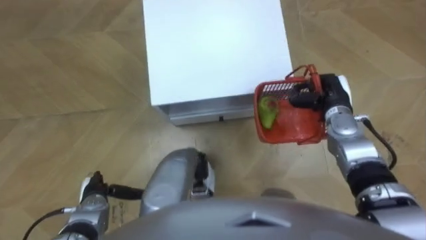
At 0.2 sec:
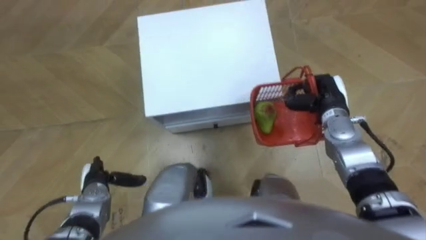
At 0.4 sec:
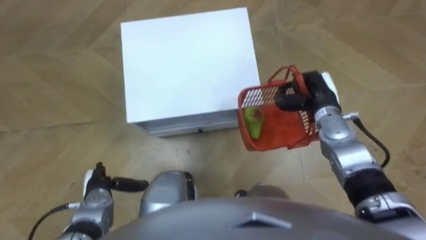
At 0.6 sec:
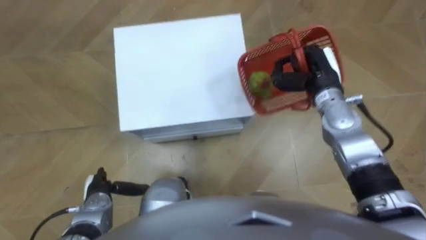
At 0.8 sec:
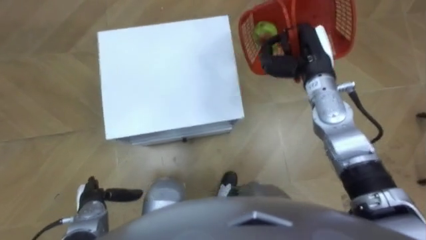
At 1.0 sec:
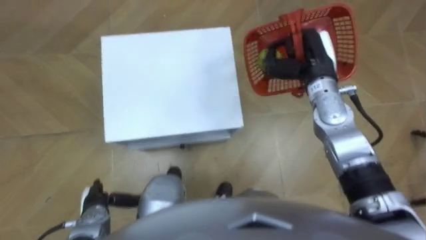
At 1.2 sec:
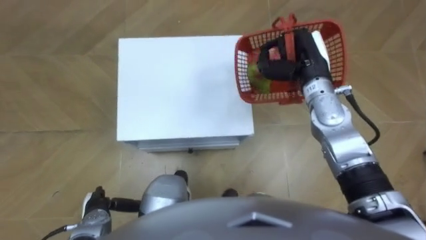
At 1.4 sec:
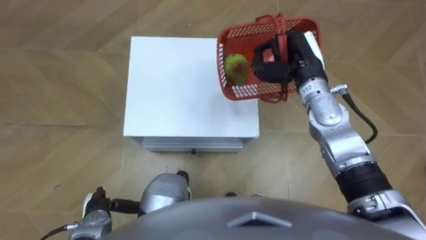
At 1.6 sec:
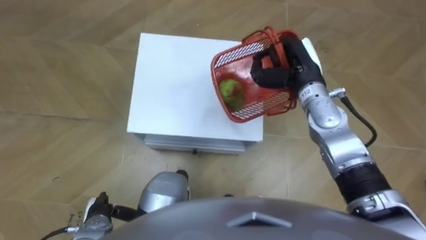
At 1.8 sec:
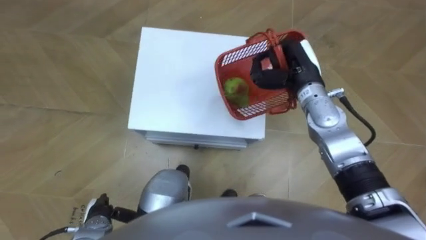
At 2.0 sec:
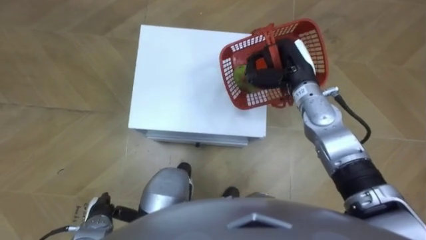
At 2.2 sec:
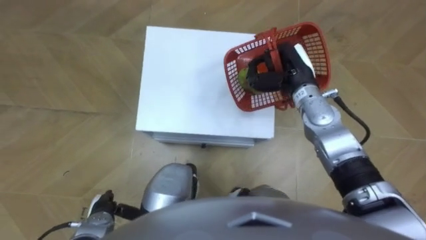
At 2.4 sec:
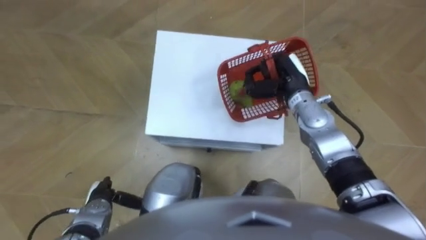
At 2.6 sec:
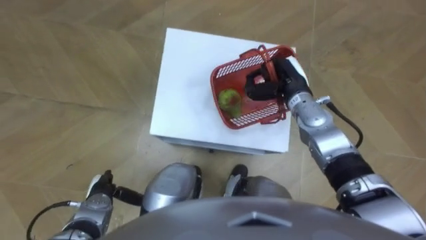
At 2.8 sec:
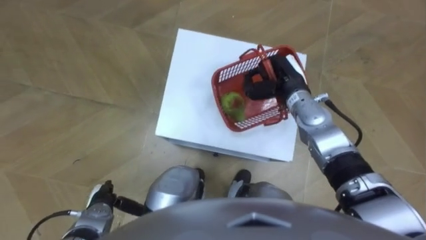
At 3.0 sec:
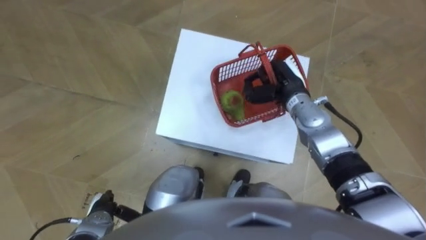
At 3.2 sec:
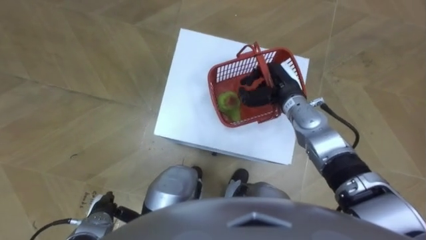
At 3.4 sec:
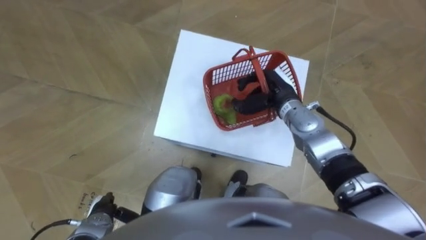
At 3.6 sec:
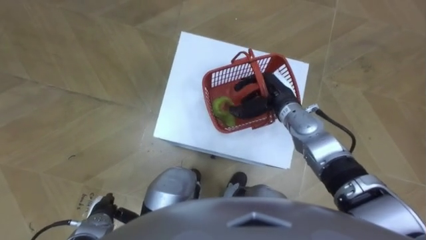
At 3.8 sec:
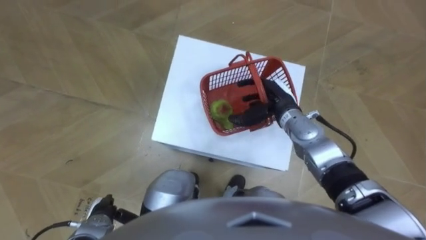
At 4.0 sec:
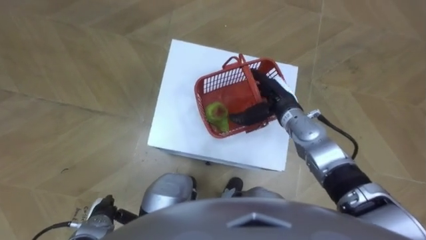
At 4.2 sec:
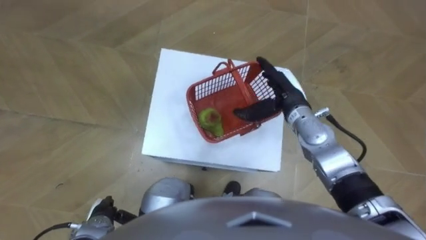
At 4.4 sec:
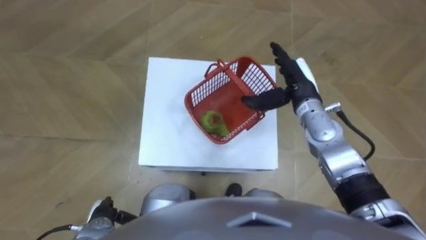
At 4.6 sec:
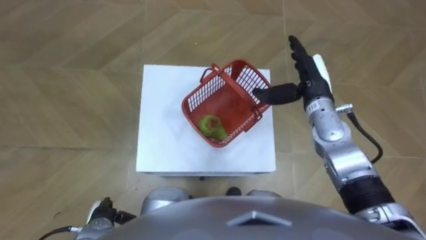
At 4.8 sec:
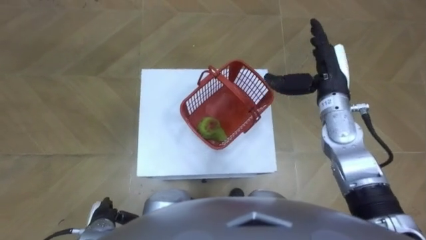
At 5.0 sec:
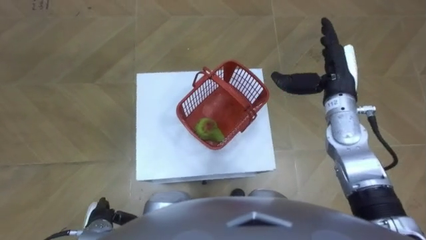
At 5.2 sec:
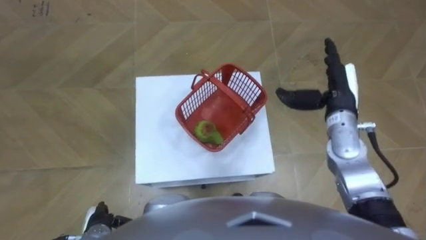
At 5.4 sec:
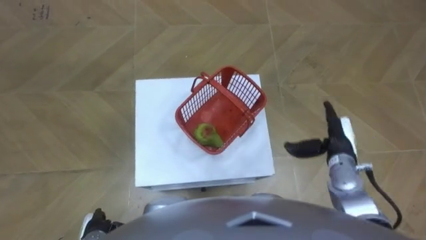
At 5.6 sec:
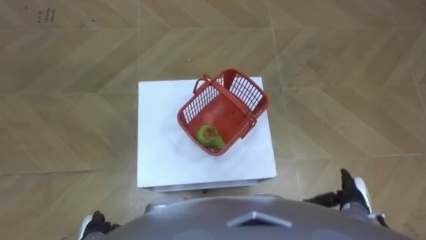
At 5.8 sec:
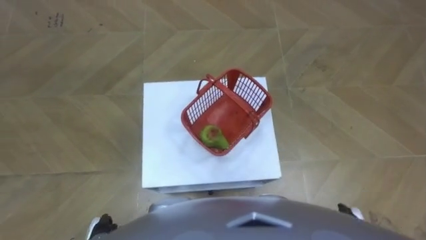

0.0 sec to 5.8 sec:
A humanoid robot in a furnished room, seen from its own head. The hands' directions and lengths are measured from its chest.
Task of the whole recording: Pick up the fruit basket from the floor and place it on the cabinet.
0.0 sec to 1.4 sec: The right hand heads upward and to the left, covering approximately 10 cm.
1.4 sec to 2.8 sec: The right hand heads downward, covering roughly 5 cm.
2.8 sec to 4.4 sec: The right hand opens.
4.4 sec to 5.8 sec: The right hand heads backward, downward and to the right, covering about 35 cm.

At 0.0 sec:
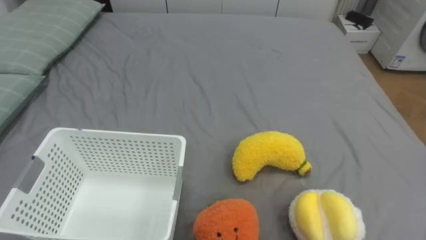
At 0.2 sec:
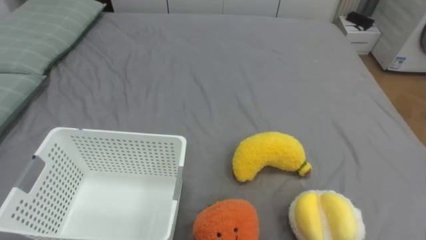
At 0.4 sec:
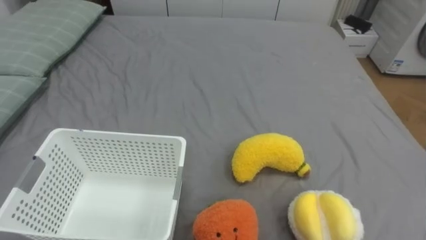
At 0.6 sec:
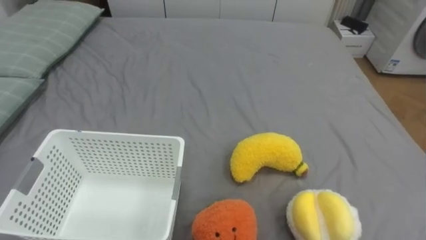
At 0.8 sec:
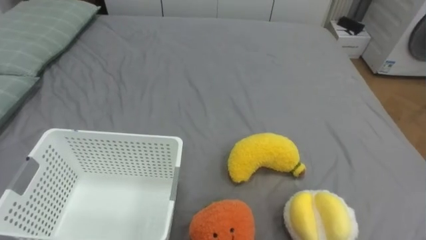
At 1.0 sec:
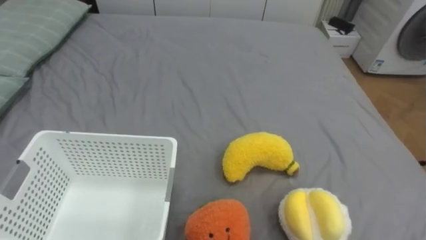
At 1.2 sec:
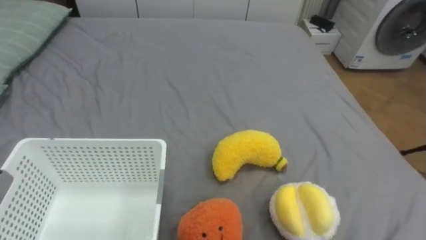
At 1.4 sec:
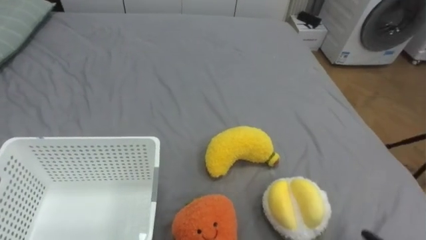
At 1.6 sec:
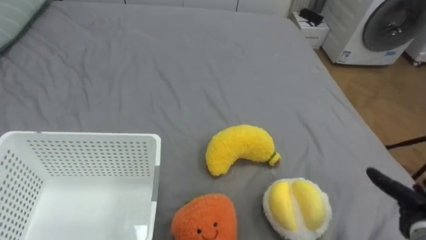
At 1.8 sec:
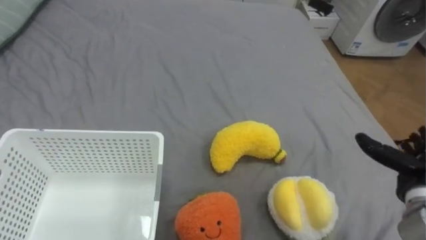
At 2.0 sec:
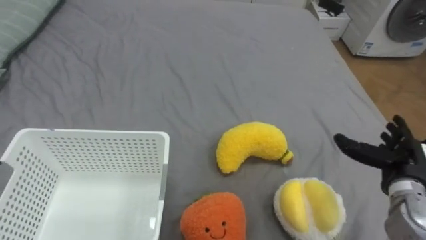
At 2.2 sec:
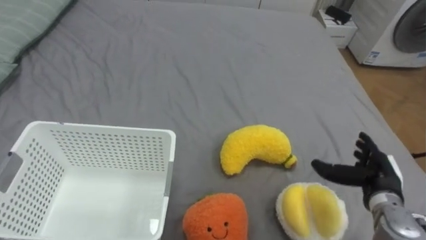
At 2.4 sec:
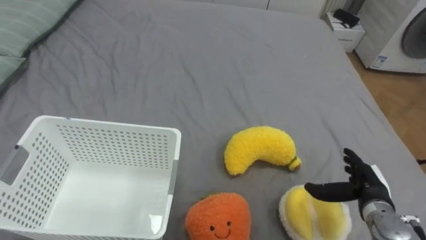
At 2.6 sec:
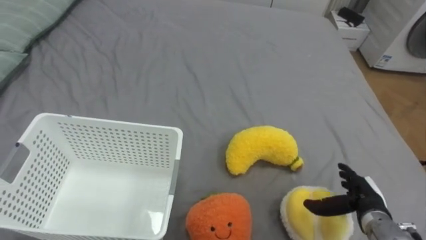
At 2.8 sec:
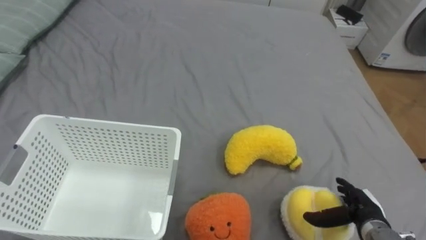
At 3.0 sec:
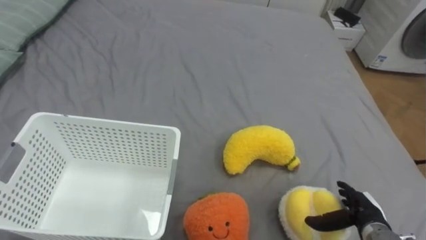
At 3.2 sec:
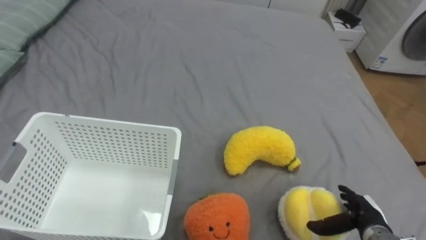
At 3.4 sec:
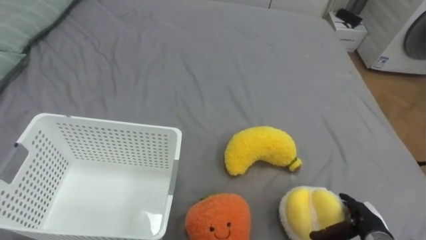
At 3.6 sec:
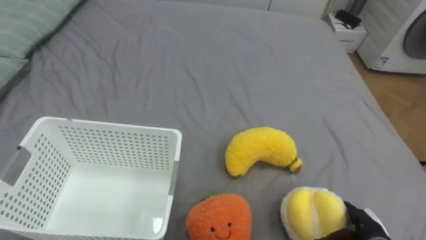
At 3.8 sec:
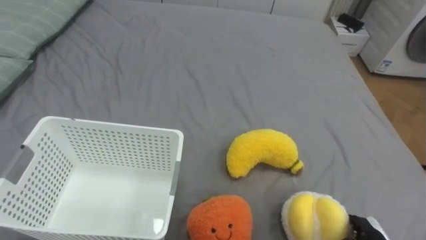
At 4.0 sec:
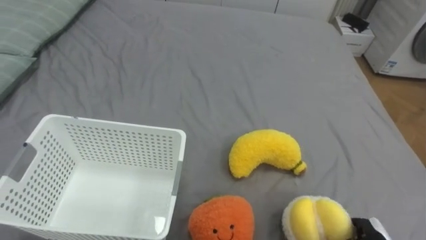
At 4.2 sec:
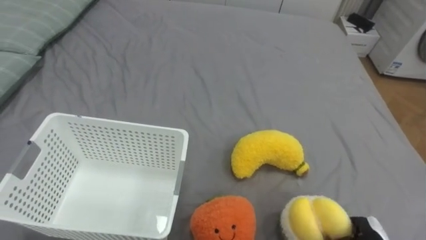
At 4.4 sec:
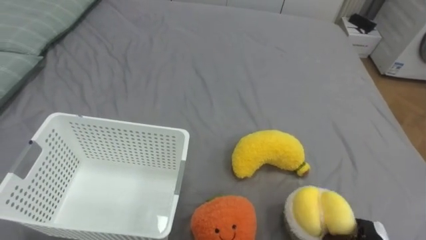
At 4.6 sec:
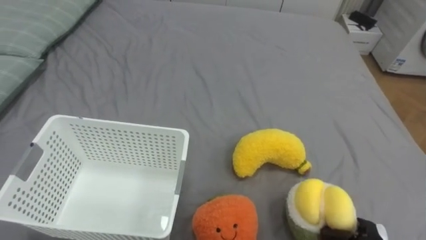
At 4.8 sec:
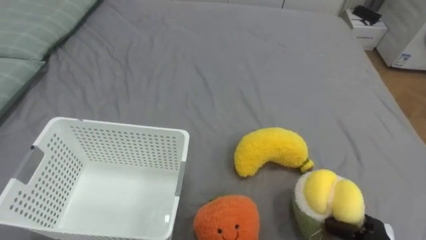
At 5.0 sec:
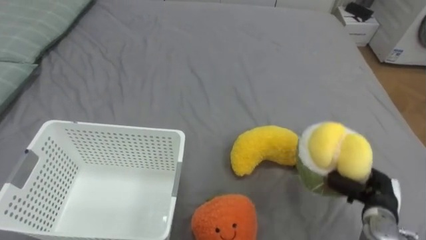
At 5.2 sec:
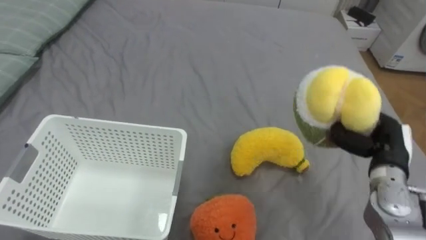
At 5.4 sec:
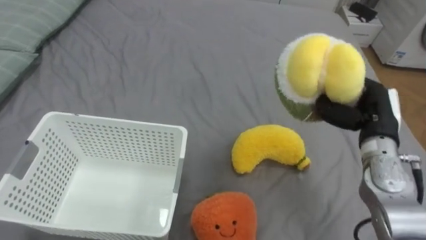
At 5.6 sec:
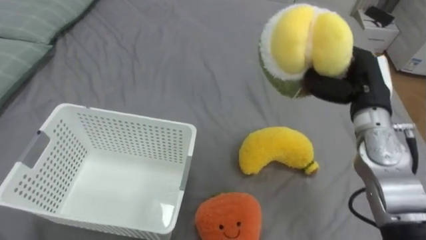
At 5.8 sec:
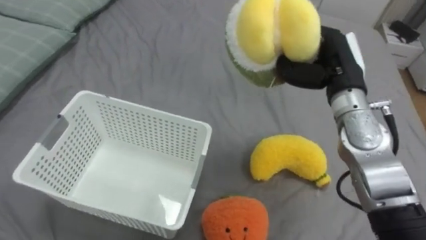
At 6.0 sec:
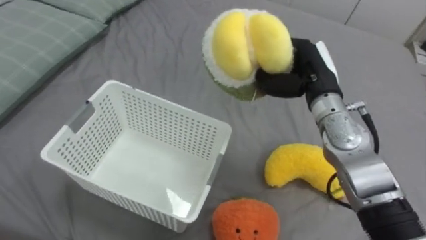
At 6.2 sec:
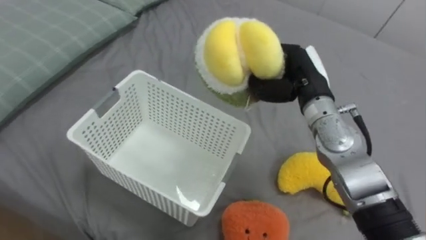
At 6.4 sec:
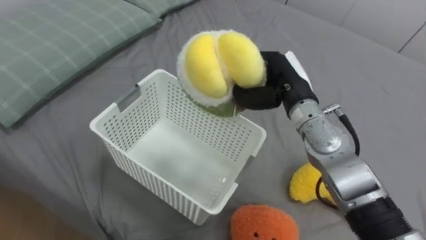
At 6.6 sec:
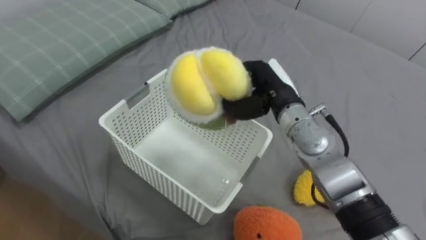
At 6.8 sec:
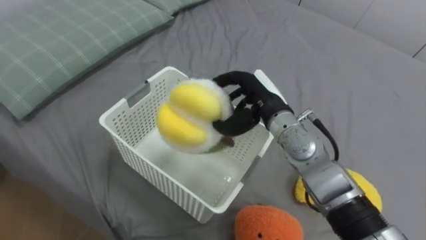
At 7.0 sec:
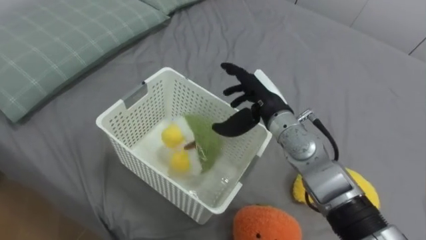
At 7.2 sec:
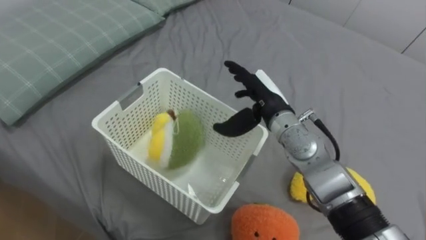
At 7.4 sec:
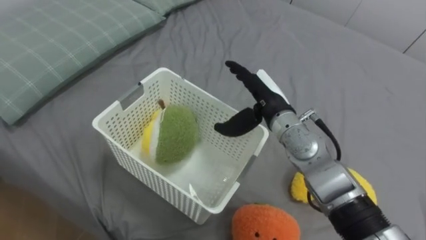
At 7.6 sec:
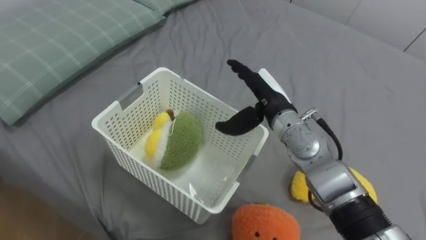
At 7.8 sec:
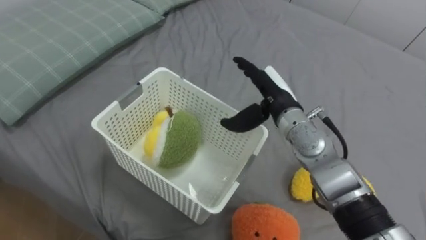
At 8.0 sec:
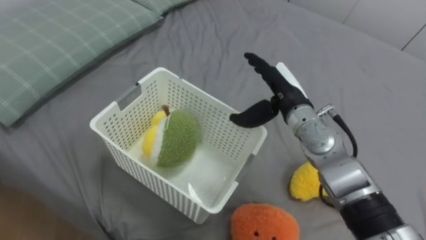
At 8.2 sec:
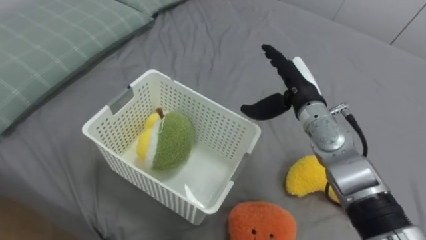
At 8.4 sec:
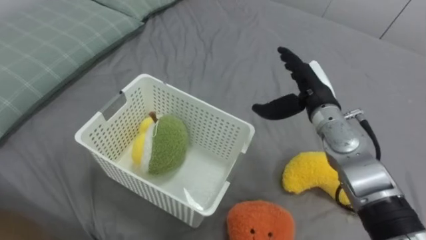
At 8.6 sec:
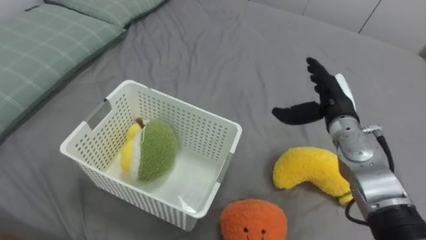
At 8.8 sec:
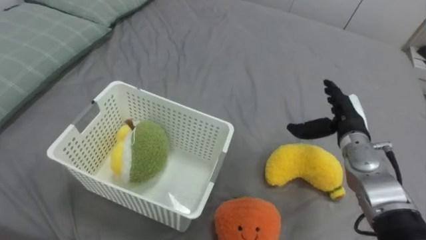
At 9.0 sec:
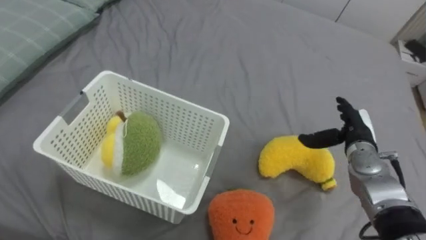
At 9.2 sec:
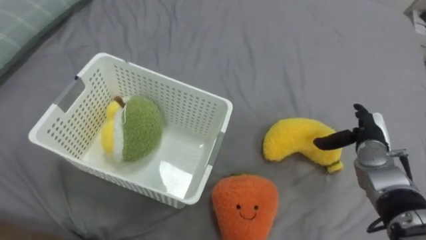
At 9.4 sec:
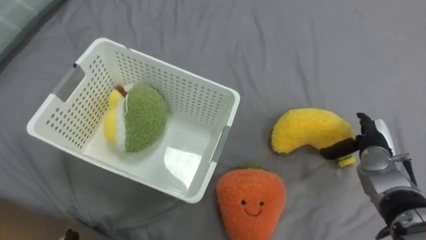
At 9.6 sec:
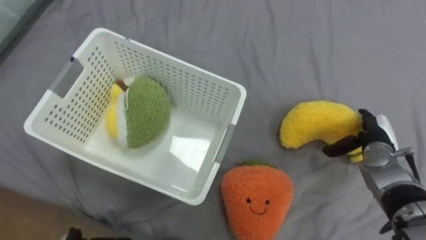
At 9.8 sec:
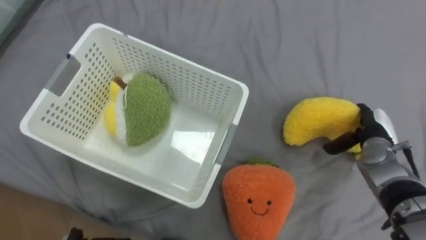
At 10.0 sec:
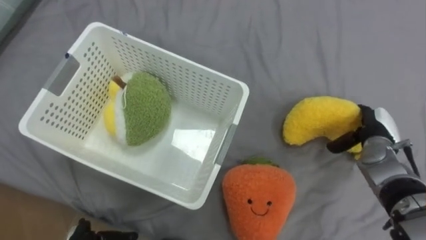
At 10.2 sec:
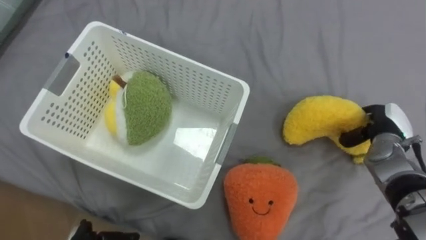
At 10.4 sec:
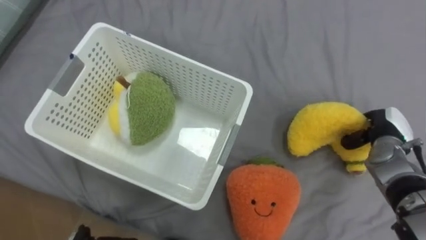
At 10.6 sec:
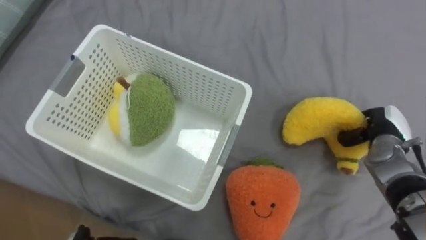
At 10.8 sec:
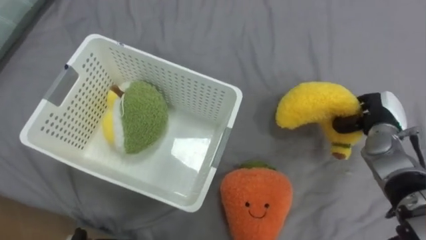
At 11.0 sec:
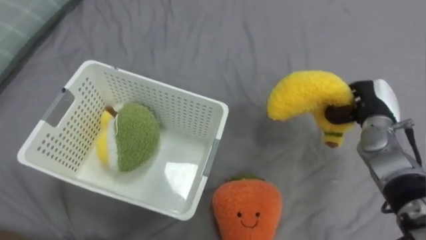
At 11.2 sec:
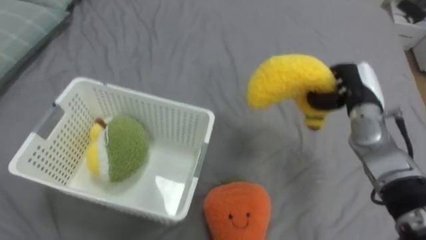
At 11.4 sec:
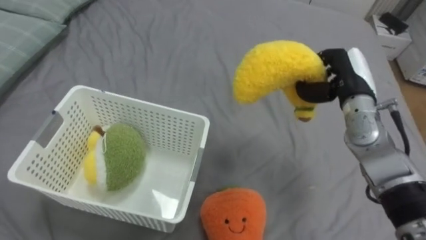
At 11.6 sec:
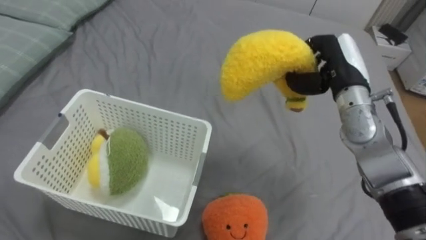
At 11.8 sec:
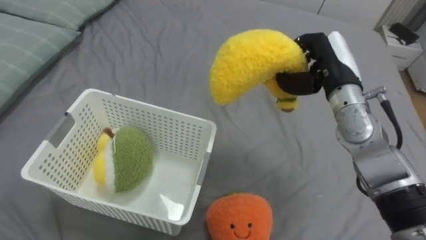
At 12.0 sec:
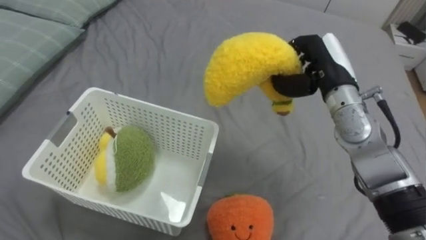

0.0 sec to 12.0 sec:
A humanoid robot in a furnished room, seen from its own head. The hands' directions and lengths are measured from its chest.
Task of the whole recording: Put the toys on the bed into the basket on the left.
1.6 sec to 3.0 sec: The right hand shifts some 10 cm to the left.
6.0 sec to 7.6 sec: The right hand heads to the left, covering roughly 5 cm, and opens up.
7.6 sec to 9.0 sec: The right hand shifts some 20 cm to the right and downward.
9.0 sec to 10.4 sec: The right hand shifts some 5 cm to the right, and closes.
10.4 sec to 12.0 sec: The right hand travels to the left and upward by approximately 20 cm.
